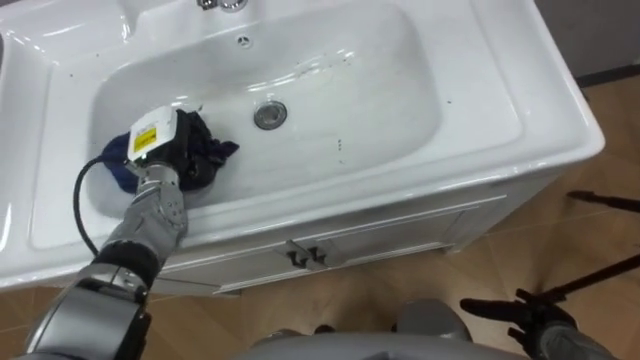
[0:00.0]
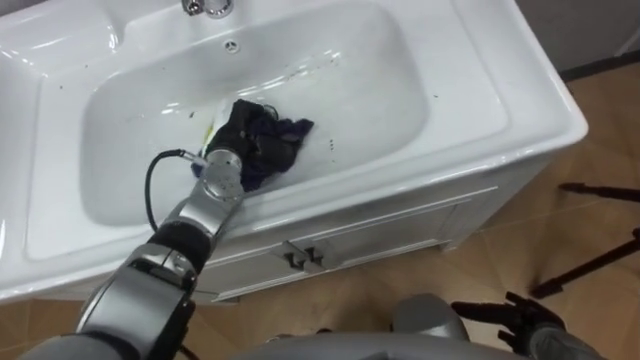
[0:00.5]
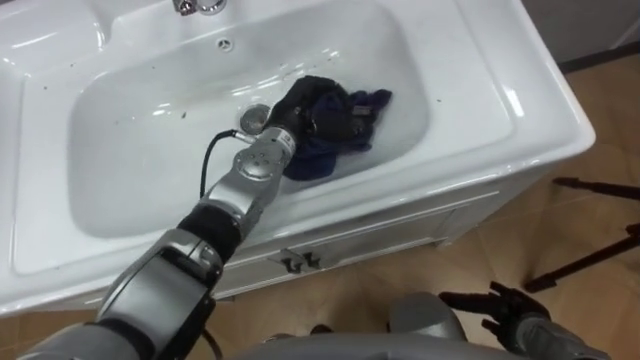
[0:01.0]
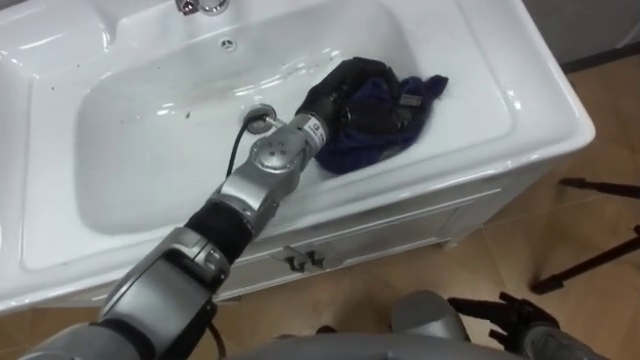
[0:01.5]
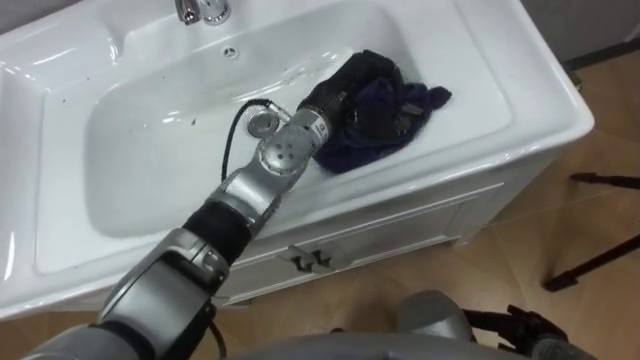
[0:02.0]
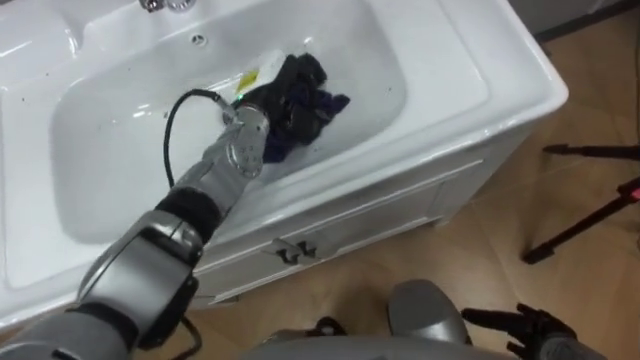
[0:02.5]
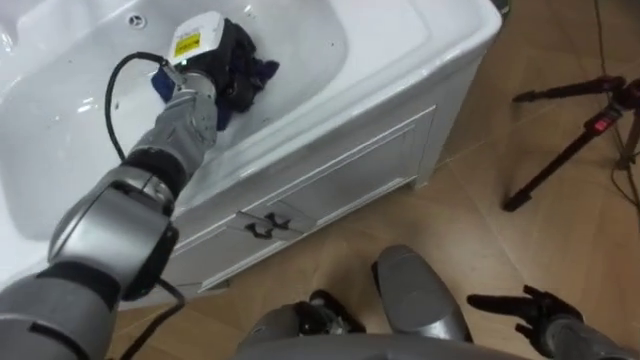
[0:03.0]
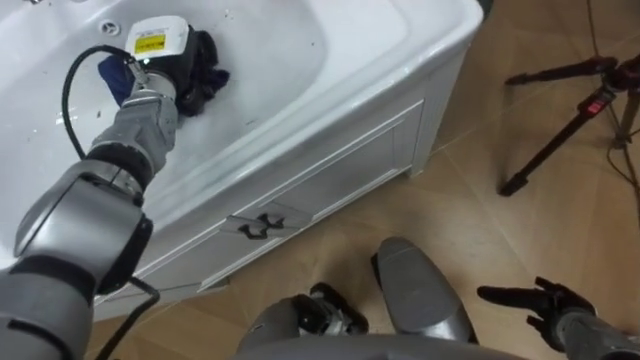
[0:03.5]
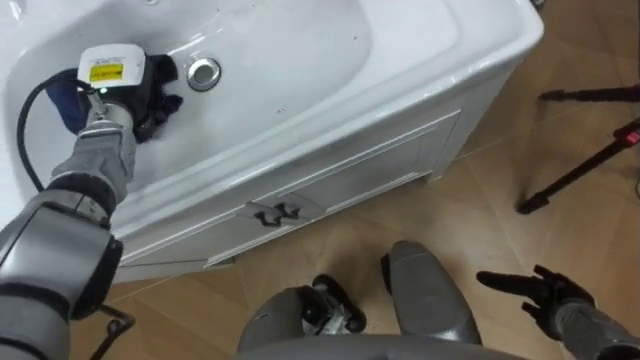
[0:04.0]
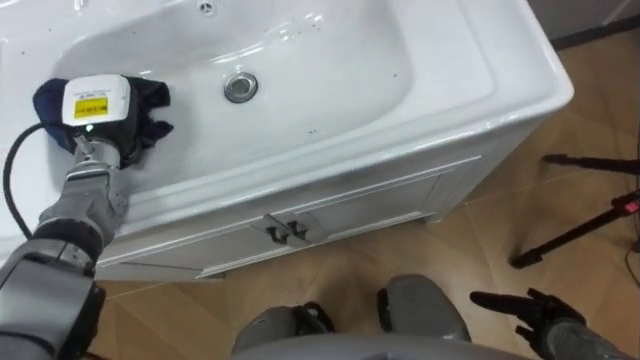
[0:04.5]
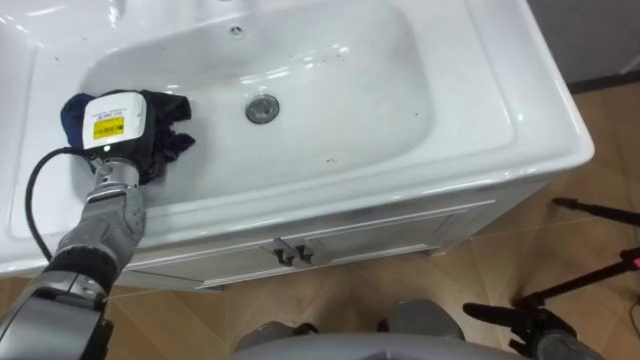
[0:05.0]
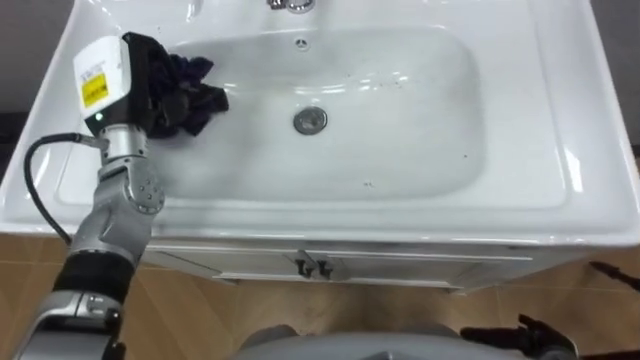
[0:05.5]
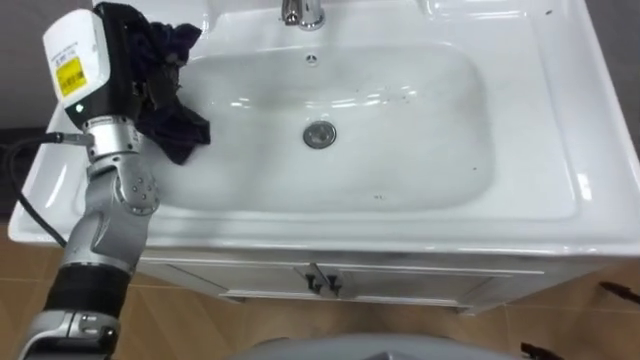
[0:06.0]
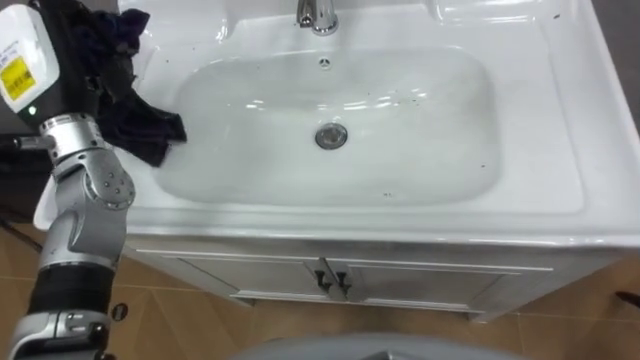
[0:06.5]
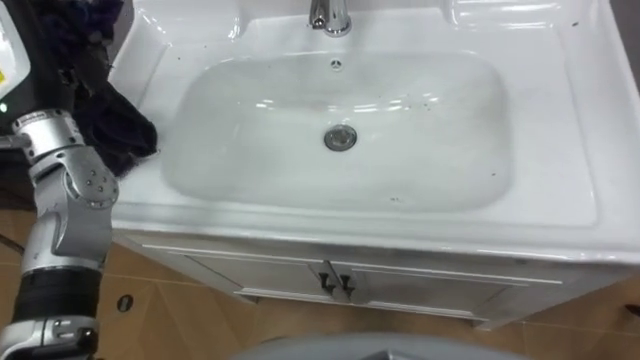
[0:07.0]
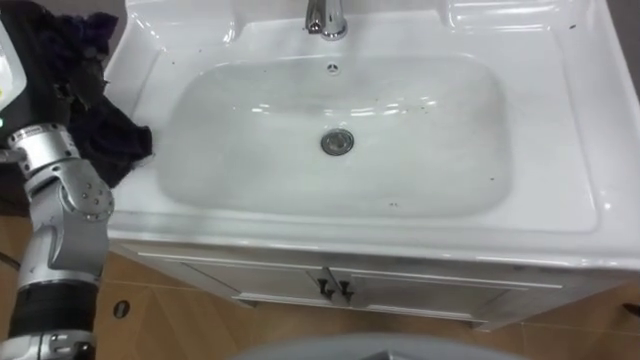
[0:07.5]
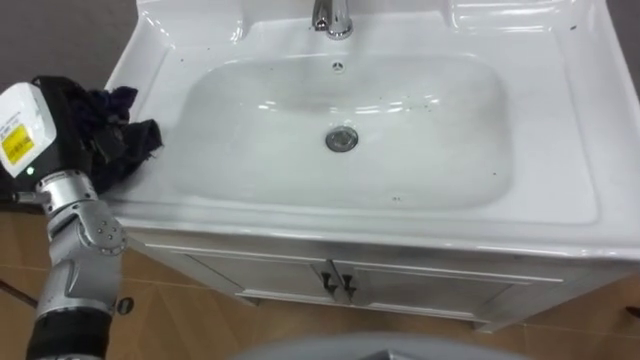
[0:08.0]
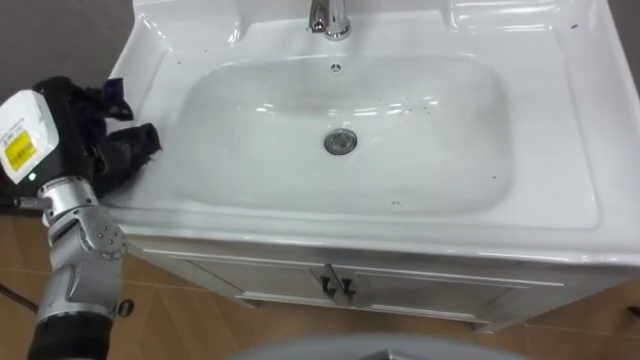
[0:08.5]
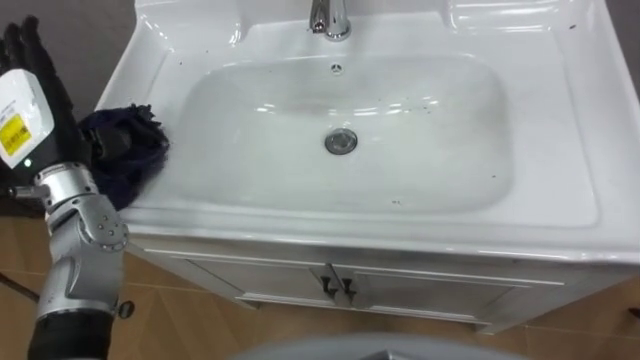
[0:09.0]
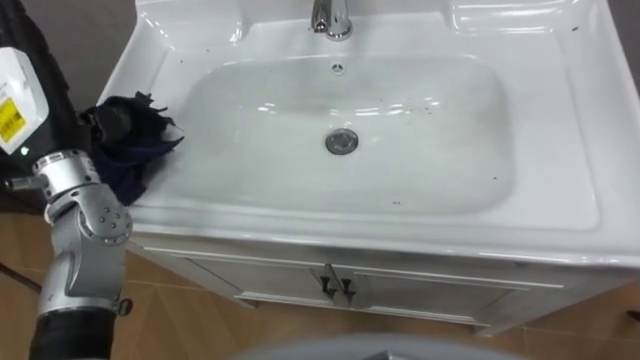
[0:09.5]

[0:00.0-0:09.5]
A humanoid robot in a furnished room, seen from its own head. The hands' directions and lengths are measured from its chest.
Task of the whole recording: Use the cloth on the right to wipe away the black stain in the sink.
0:00.0 to 0:02.0: The left hand is displaced to the right by approximately 25 cm.
0:02.0 to 0:04.0: The right hand changes place by about 5 cm. Meanwhile the left hand is displaced to the left by some 30 cm.
0:04.0 to 0:05.5: The left hand ends up roughly 5 cm from where it was.
0:07.5 to 0:09.5: The left hand travels downward and back again, about 10 cm each way, and opens up.

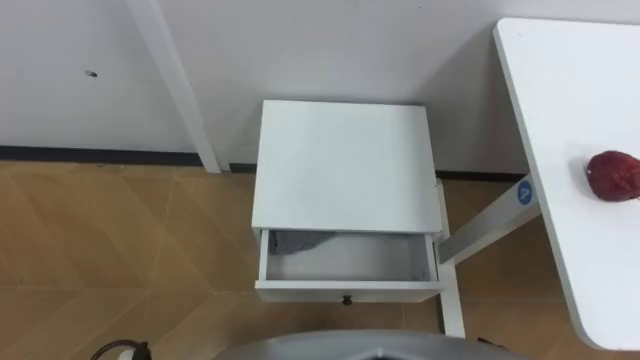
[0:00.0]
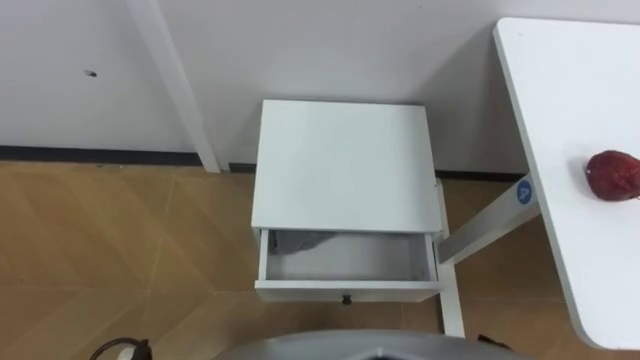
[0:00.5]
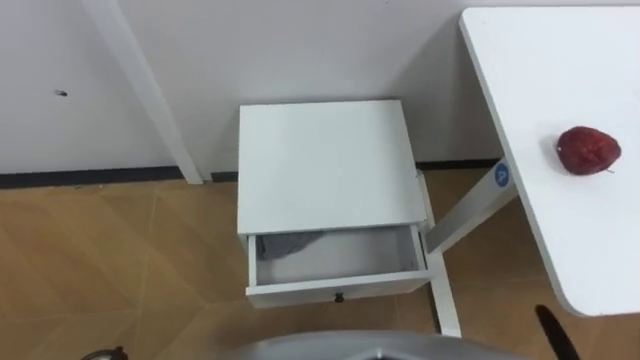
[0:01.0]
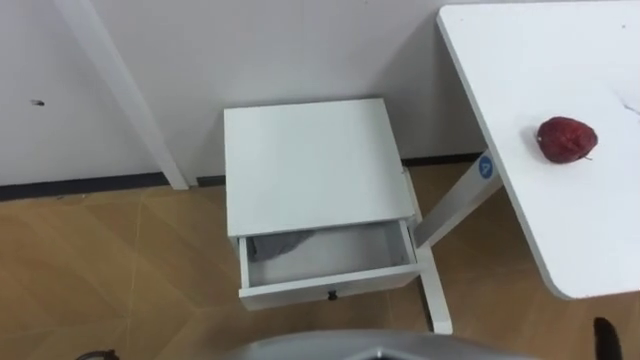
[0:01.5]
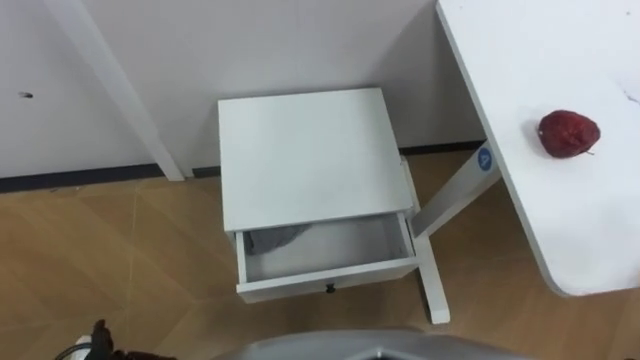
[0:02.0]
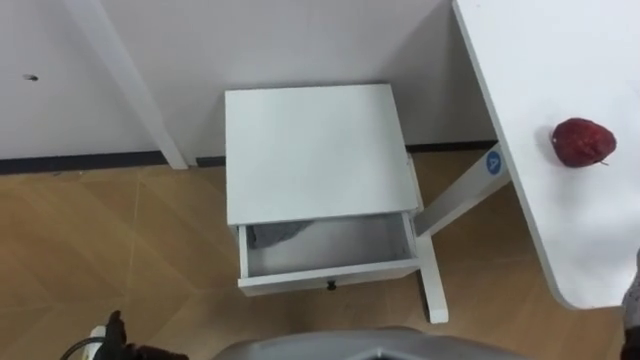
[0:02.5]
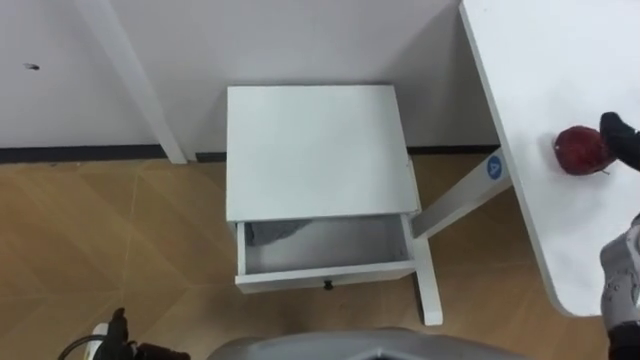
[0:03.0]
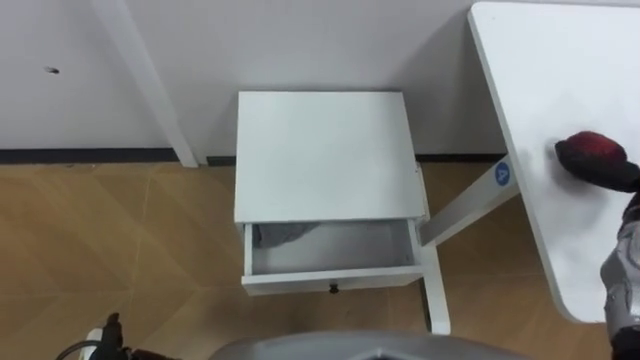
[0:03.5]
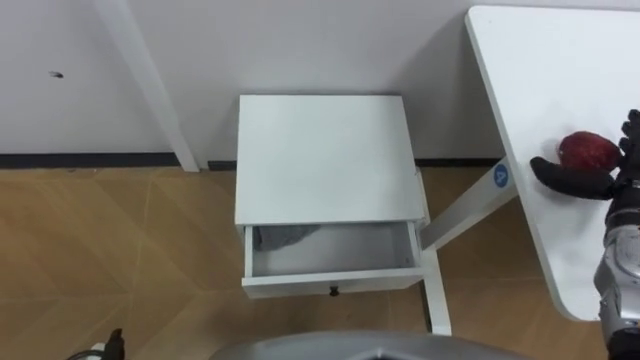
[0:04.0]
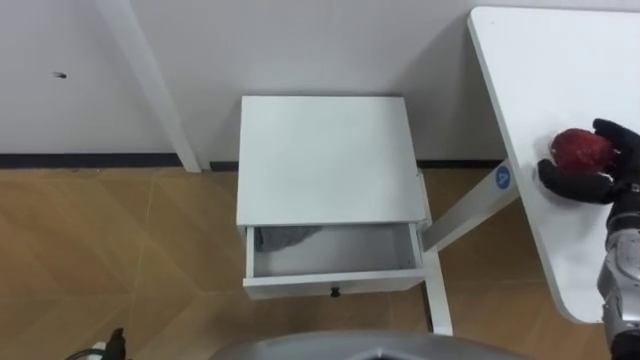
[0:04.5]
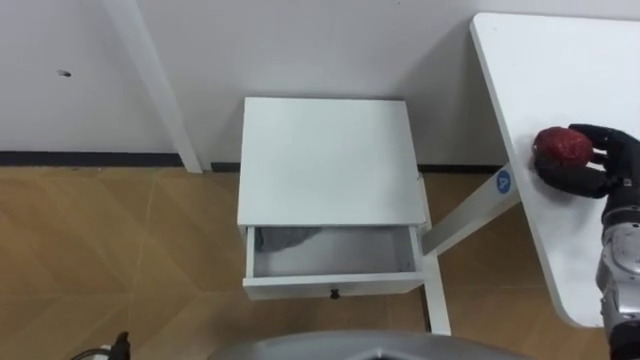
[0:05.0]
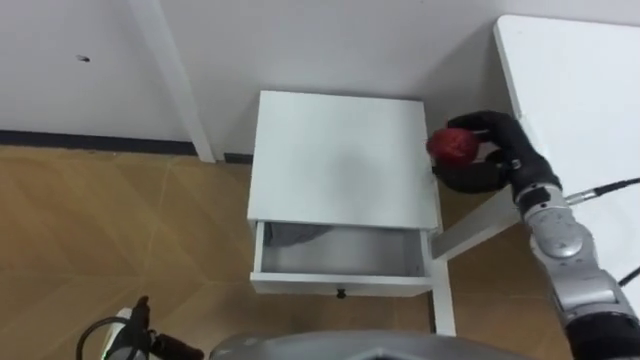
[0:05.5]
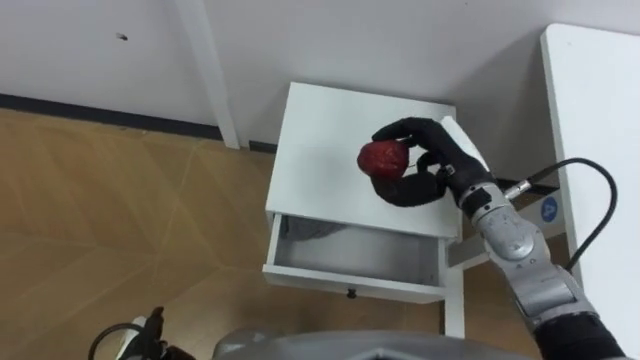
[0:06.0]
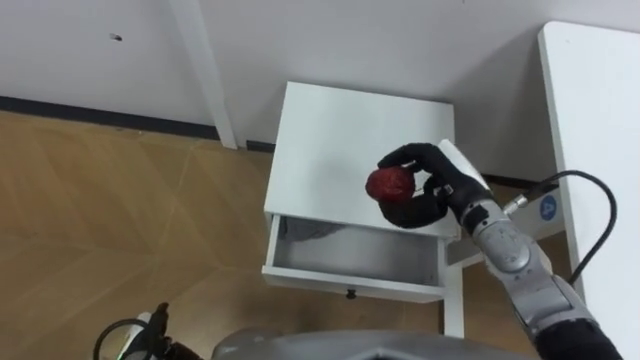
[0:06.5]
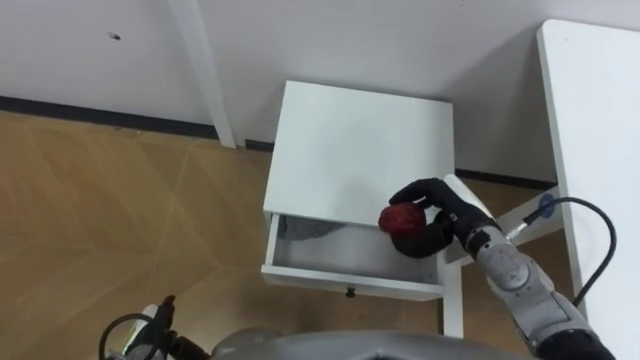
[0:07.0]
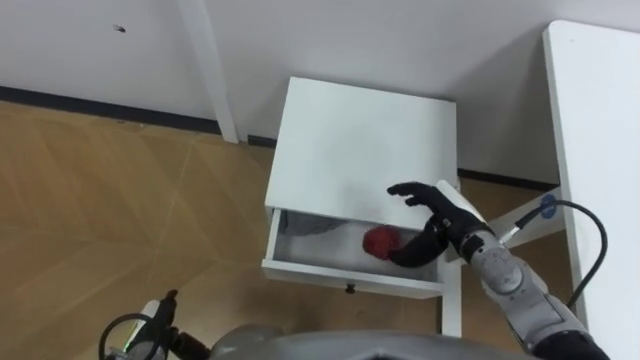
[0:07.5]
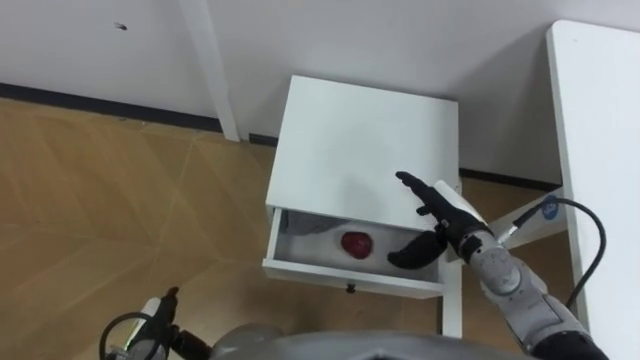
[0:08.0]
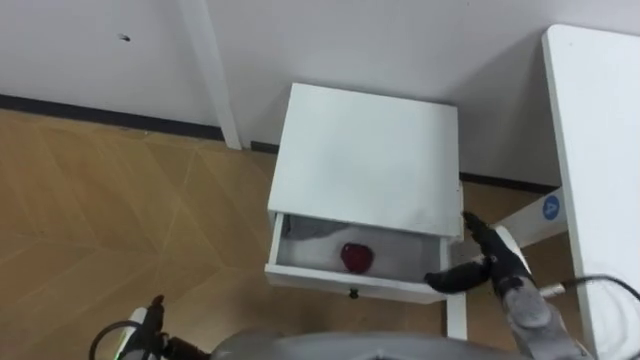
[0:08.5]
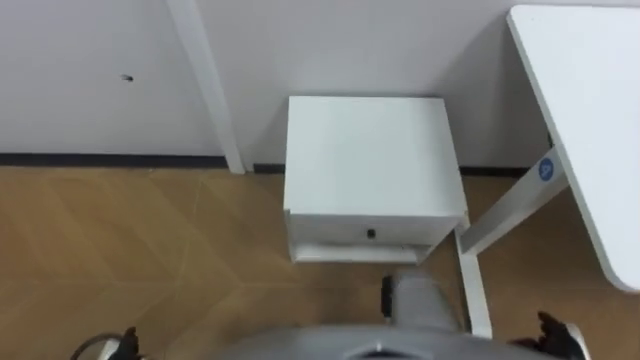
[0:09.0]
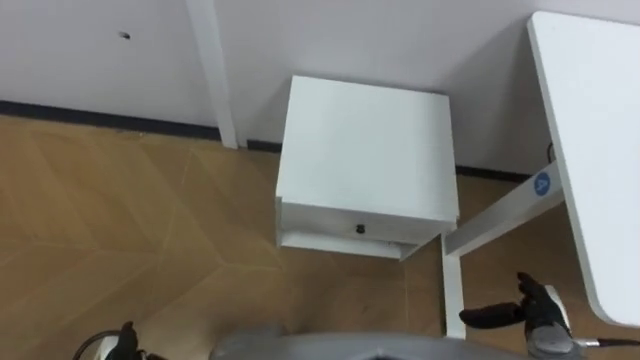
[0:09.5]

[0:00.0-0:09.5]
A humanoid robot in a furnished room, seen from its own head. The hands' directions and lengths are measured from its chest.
Task of the whole recording: Pick up the apple from the table, put it in the drawer, and close the drawer with leg.
0:04.0 to 0:05.5: The right hand is displaced to the left by some 10 cm, and closes up.
0:05.5 to 0:07.5: The right hand moves to the left and downward, about 10 cm.
0:07.5 to 0:09.5: The right hand moves to the right, backward and downward, roughly 20 cm.

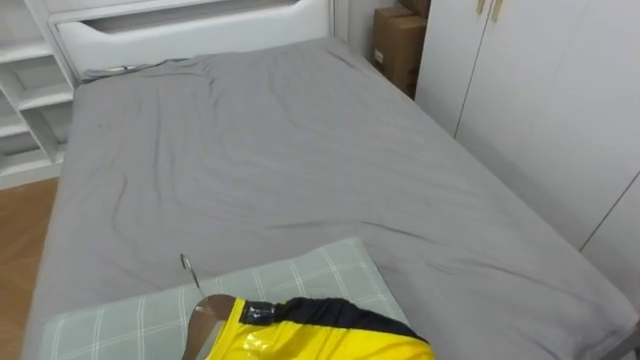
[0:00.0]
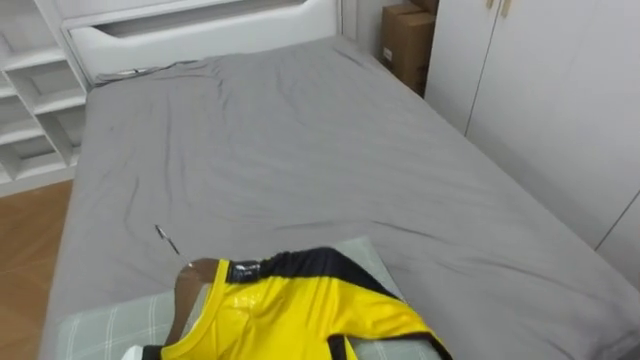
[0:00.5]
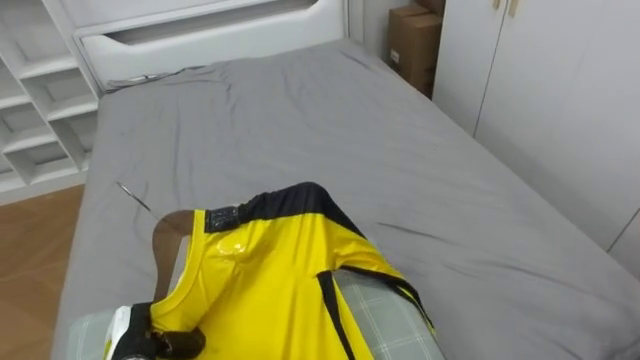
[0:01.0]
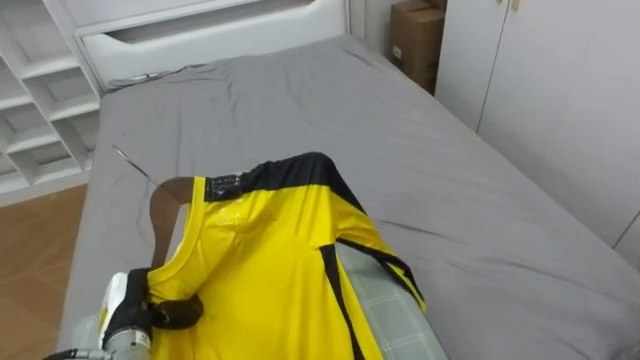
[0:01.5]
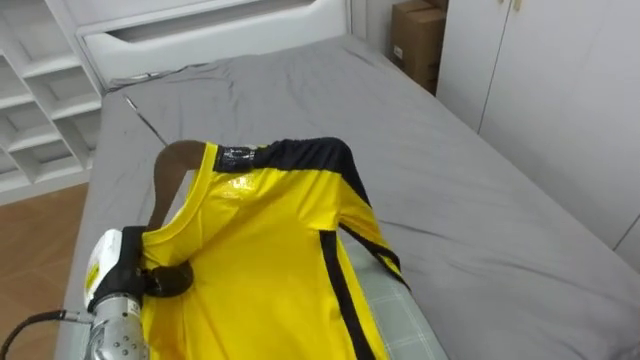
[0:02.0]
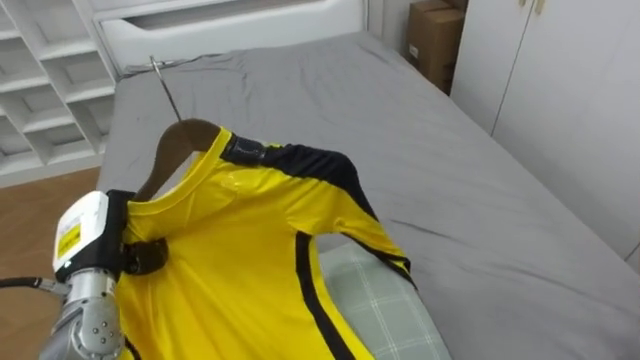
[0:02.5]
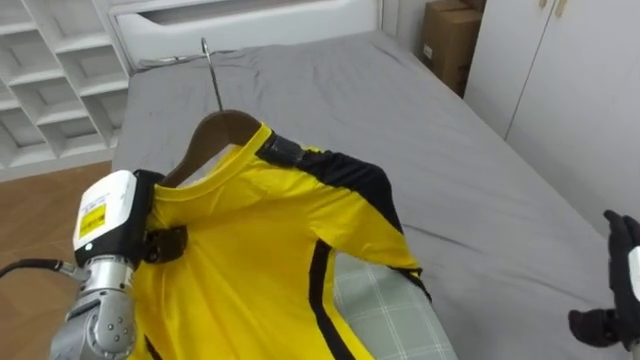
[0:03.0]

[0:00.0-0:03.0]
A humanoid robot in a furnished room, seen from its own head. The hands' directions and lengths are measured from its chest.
Task of the whole recording: Pick up the yellow shirt on the bed and hang it on the clothes rack on the right.
0:01.5 to 0:03.0: The left hand shifts about 15 cm upward.
